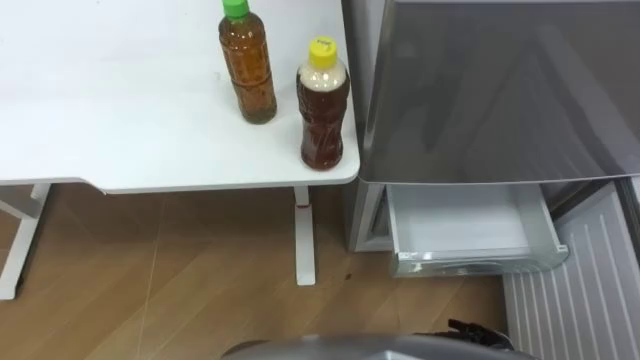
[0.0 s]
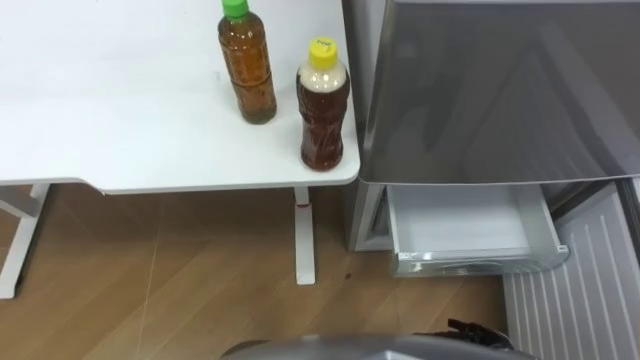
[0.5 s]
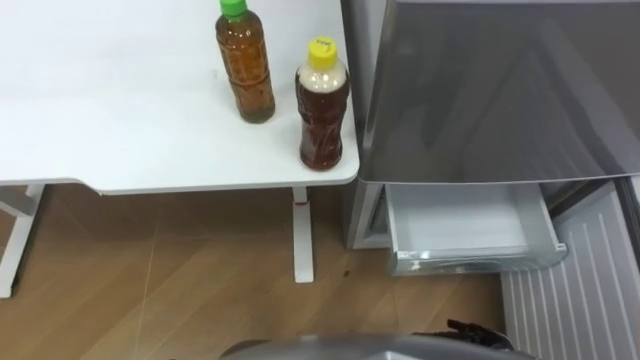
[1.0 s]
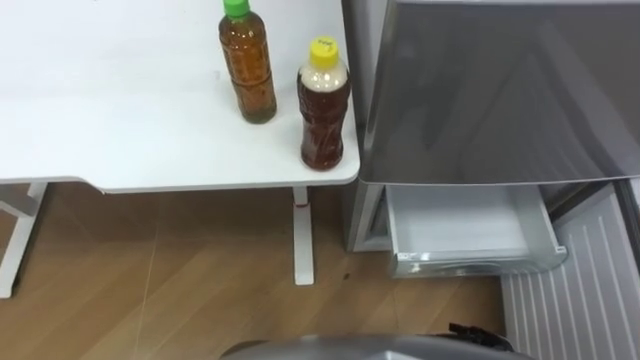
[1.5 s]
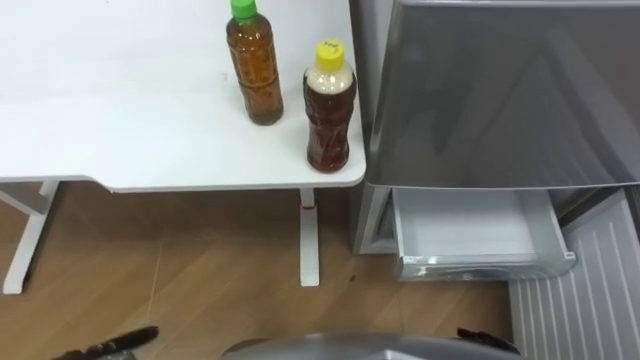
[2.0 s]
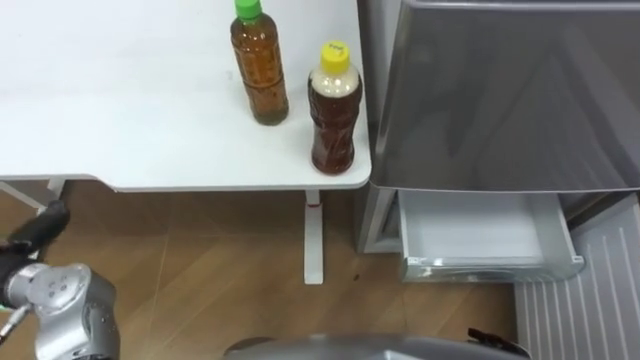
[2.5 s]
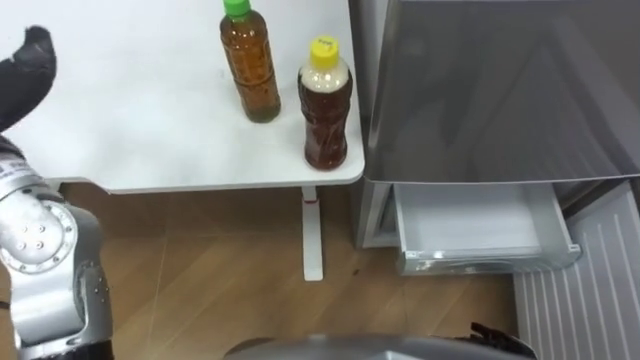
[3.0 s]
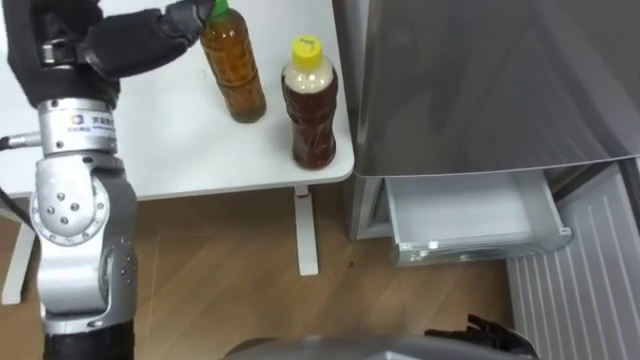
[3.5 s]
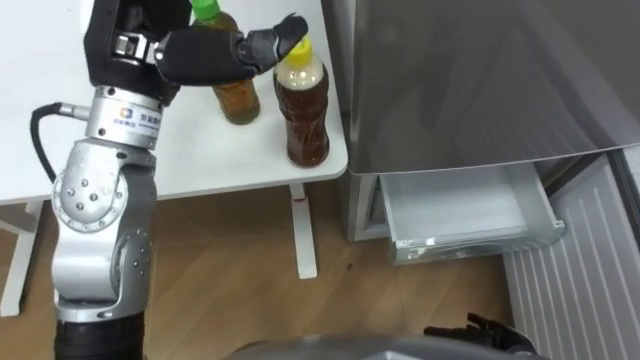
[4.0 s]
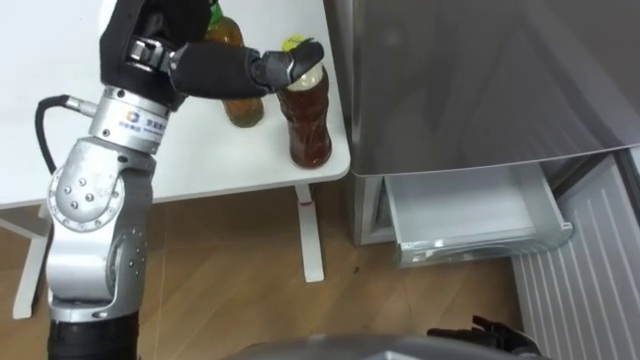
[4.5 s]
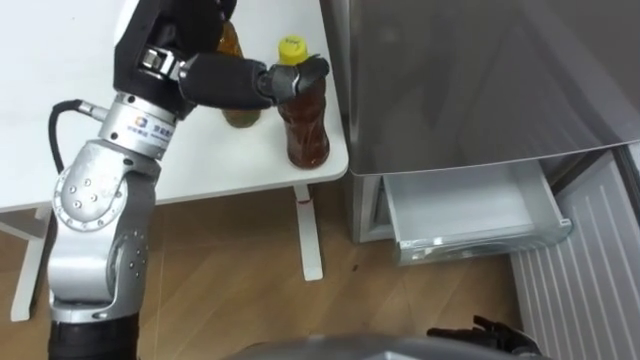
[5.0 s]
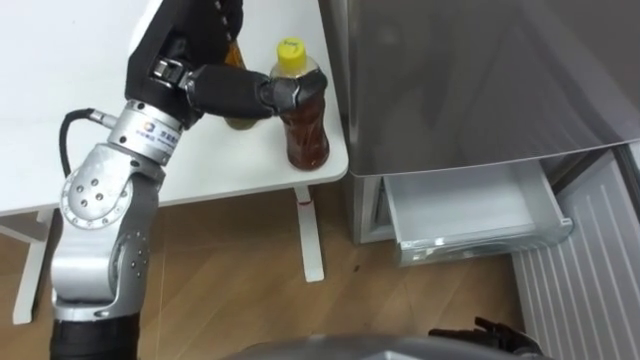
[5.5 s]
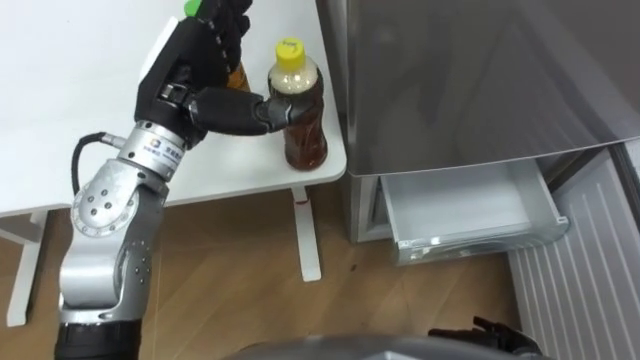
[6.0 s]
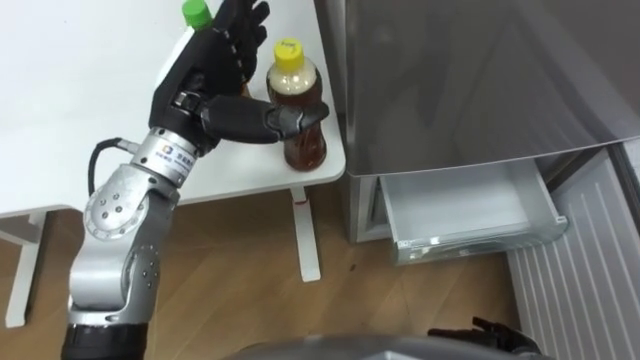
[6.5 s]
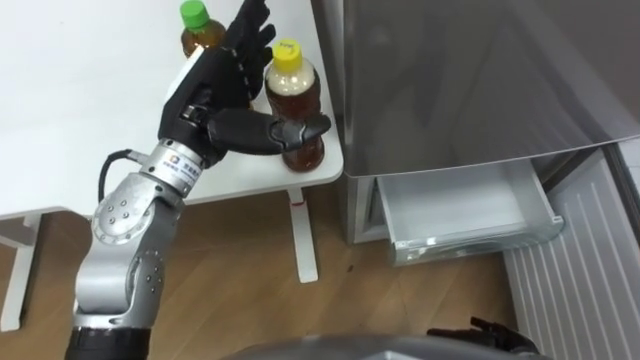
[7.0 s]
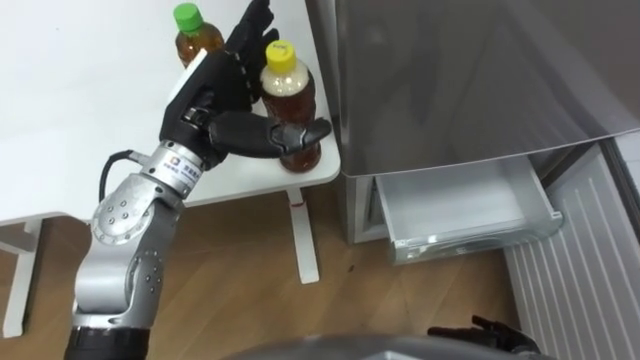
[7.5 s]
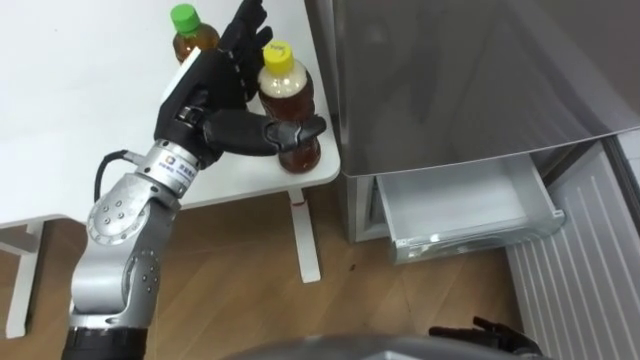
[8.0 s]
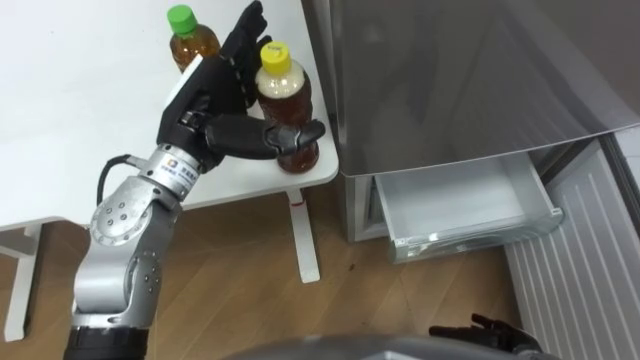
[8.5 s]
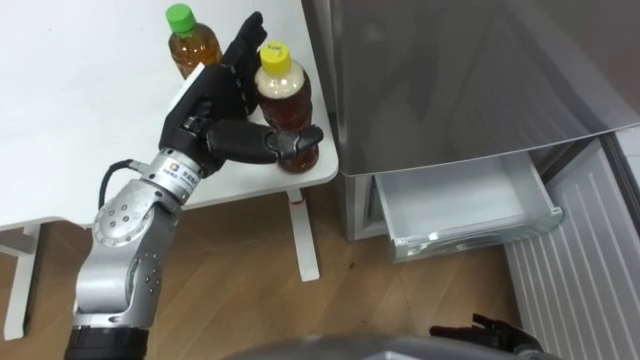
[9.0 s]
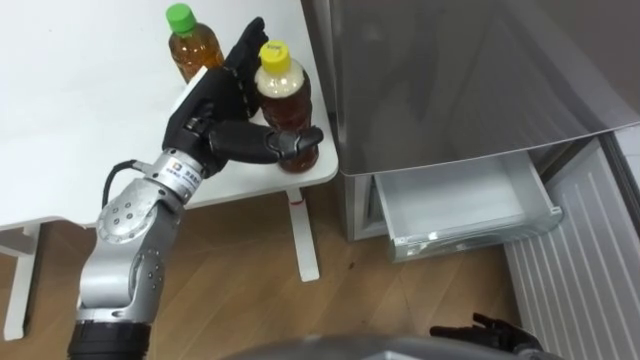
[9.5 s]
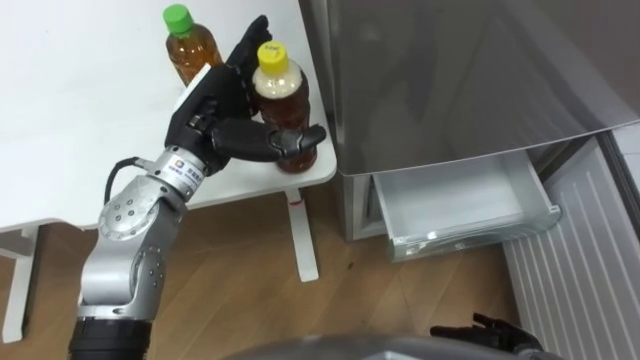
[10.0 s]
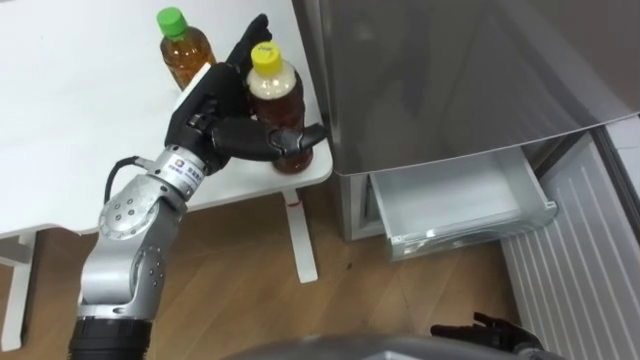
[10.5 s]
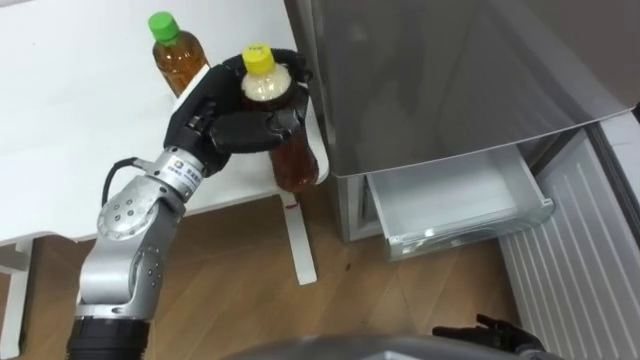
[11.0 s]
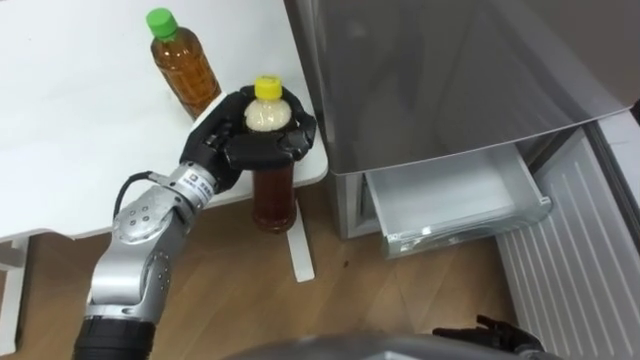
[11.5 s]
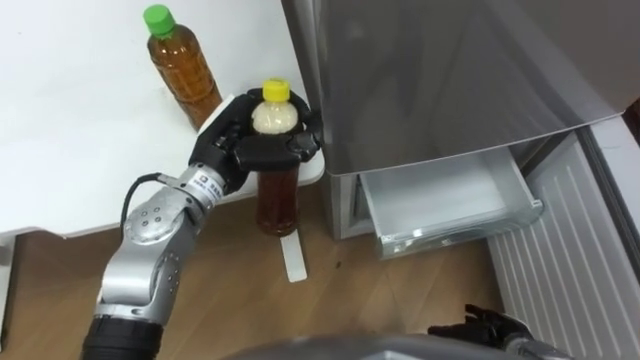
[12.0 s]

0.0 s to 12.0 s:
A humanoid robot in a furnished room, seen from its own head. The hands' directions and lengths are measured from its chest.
Task of the whole recording: Place the drink on the table on the bottom shelf of the refrigerator, then close the drawer and the refrigerator door.
4.0 to 6.0 s: The left hand heads downward, covering about 10 cm.
8.0 to 10.0 s: There are only small adjustments of the hands.
10.0 to 12.0 s: The left hand closes its fingers.

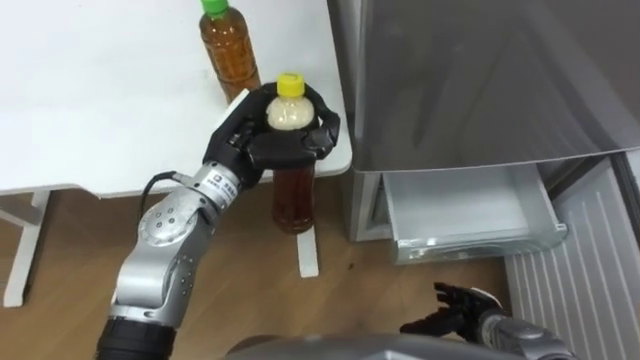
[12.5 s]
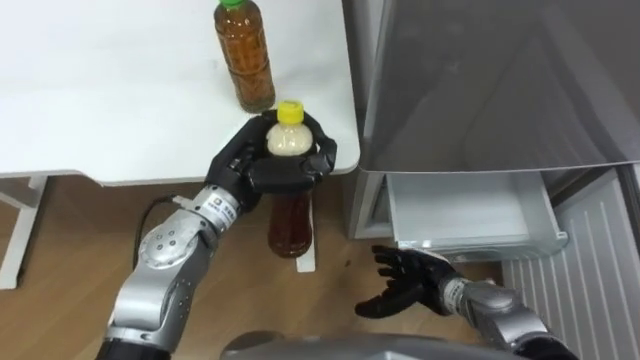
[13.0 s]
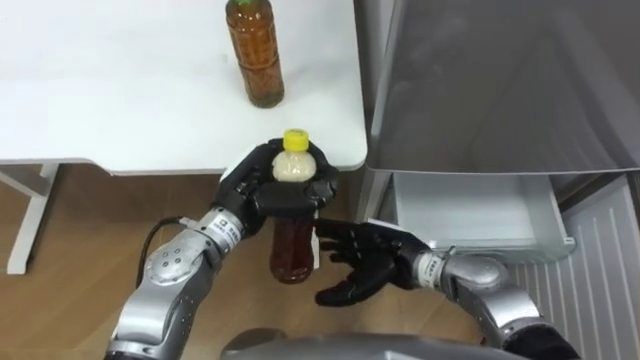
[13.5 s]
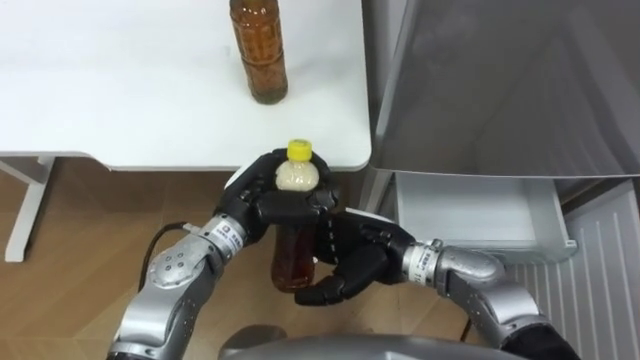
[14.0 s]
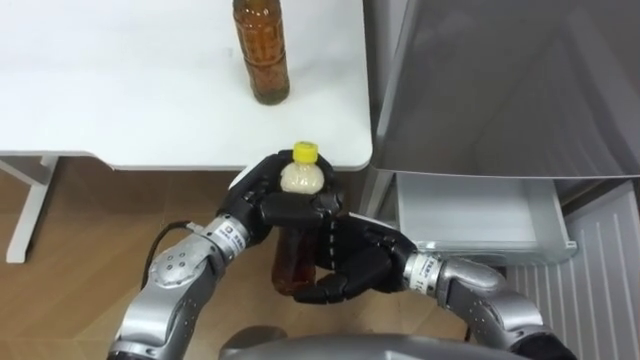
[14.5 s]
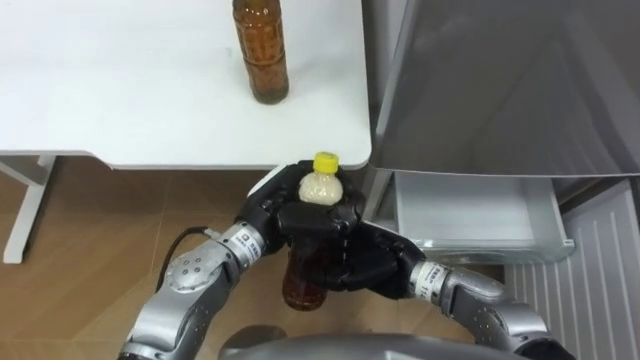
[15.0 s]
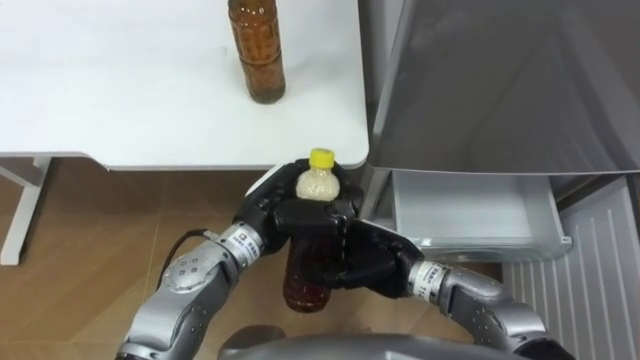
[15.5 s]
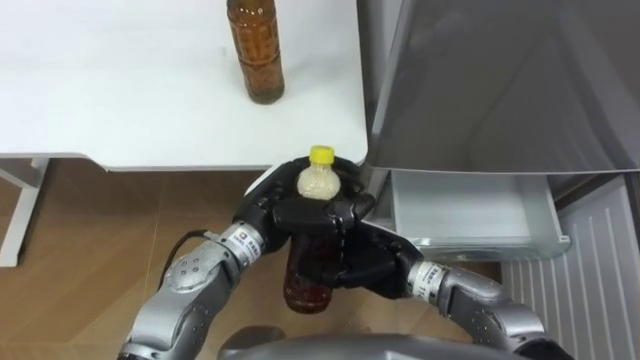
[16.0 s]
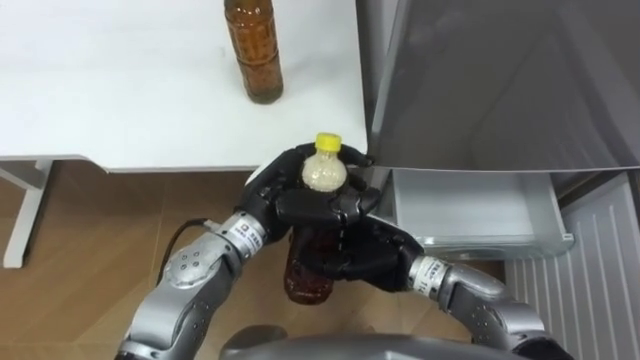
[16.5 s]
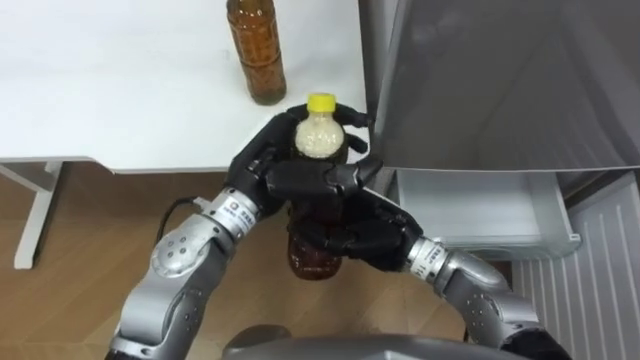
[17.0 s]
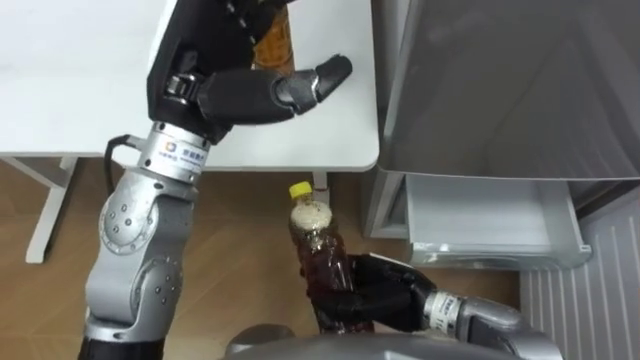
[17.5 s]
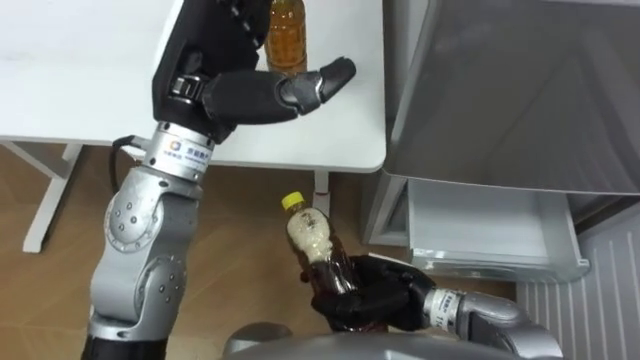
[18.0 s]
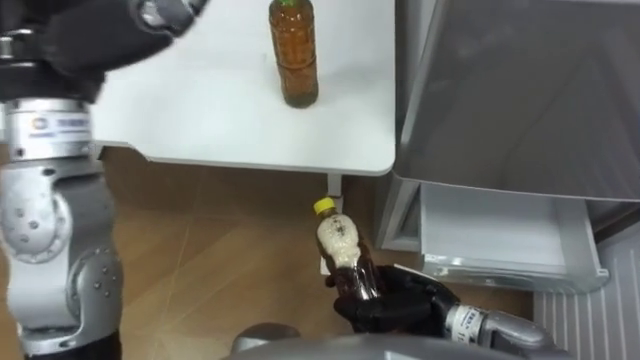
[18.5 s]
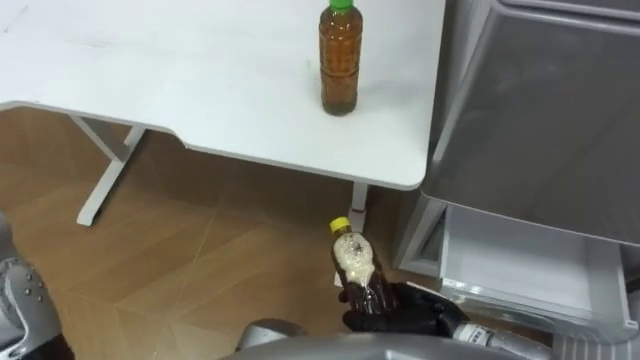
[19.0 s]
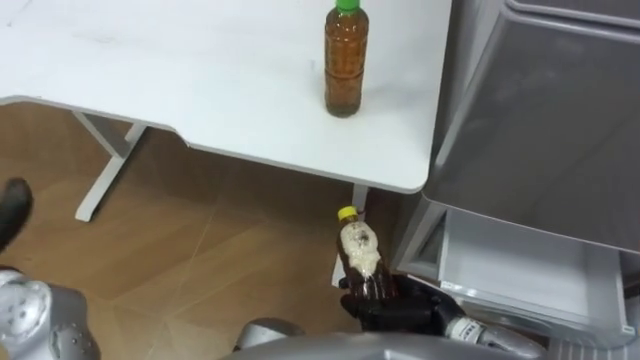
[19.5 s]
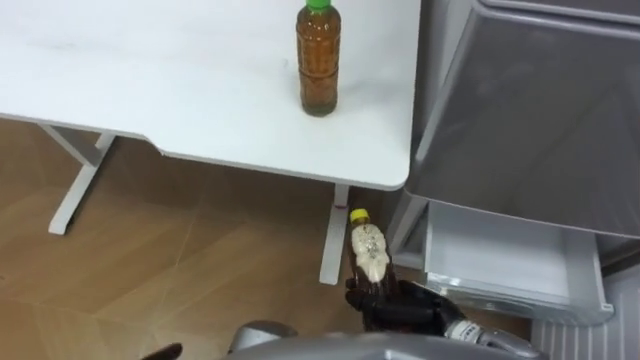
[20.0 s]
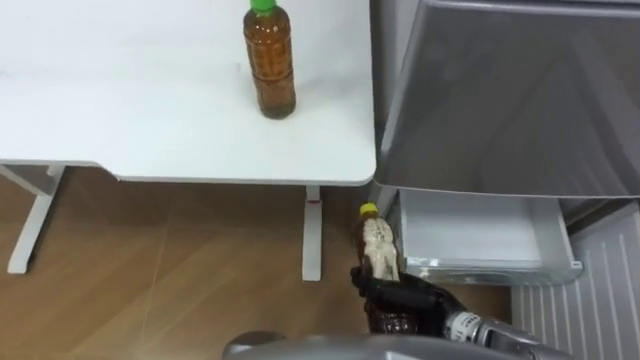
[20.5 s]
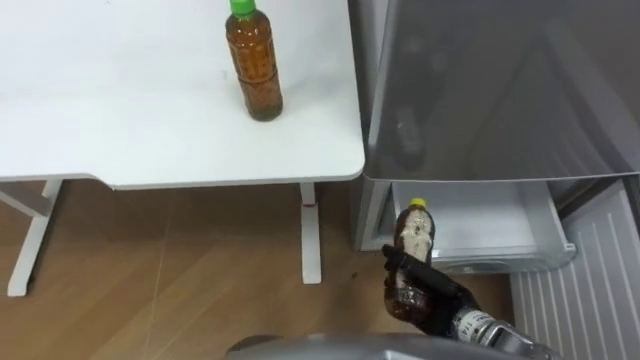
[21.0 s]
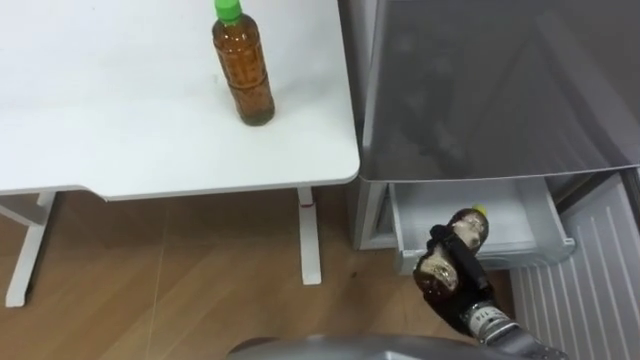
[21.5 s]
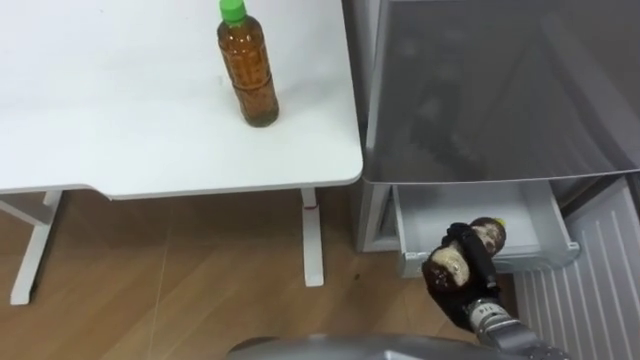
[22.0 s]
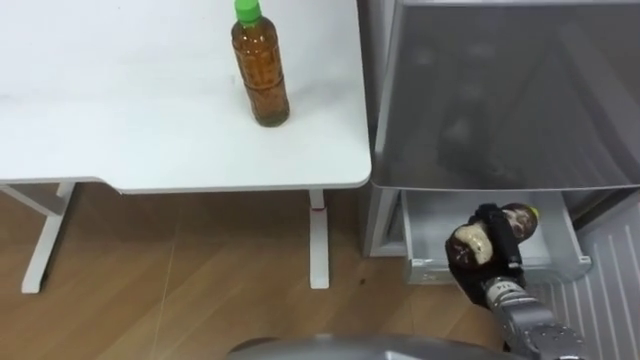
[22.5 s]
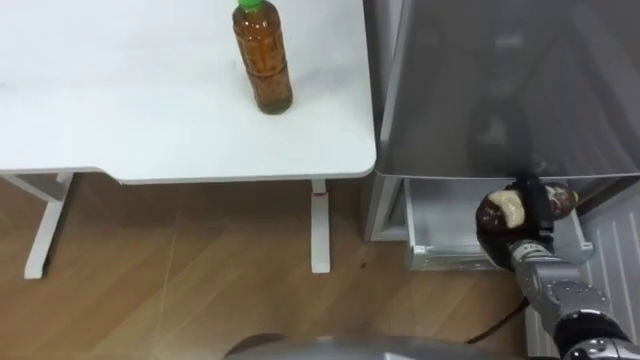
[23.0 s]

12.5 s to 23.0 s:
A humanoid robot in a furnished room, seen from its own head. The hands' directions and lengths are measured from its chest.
Task of the whole recording: Place the drink on the table on the bottom shelf of the refrigerator, then close the drawer and the refrigerator door.
12.5 to 14.5 s: The right hand shifts about 25 cm to the left, upward and forward. The left hand goes approximately 5 cm downward.
14.5 to 16.5 s: The right hand closes its fingers.
16.5 to 19.0 s: The right hand heads backward, to the right and downward, covering some 10 cm.
19.0 to 21.0 s: The right hand ends up approximately 5 cm from where it was.
21.0 to 23.0 s: The right hand goes approximately 15 cm to the right and forward.
